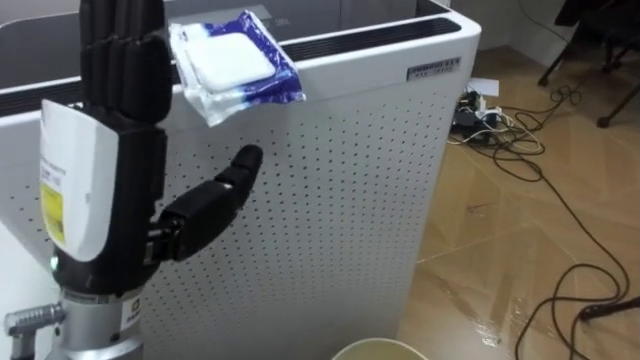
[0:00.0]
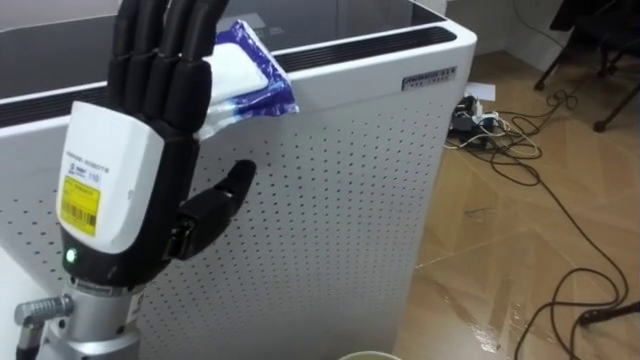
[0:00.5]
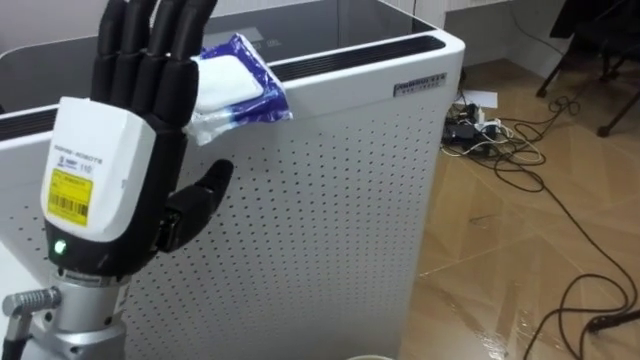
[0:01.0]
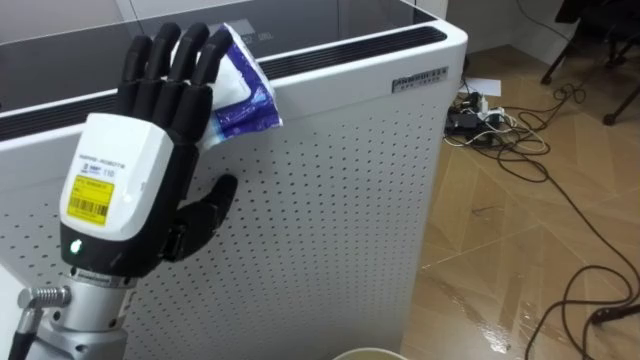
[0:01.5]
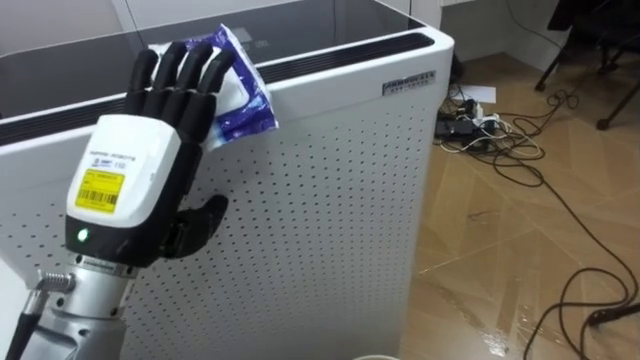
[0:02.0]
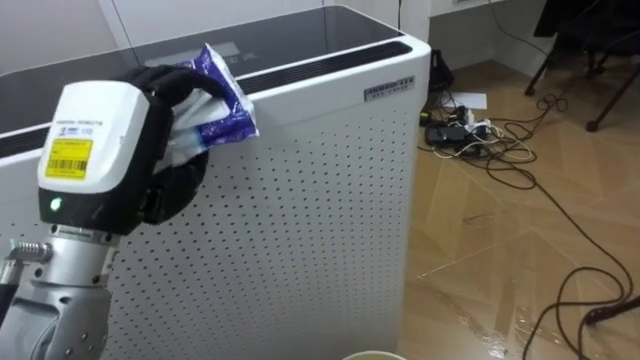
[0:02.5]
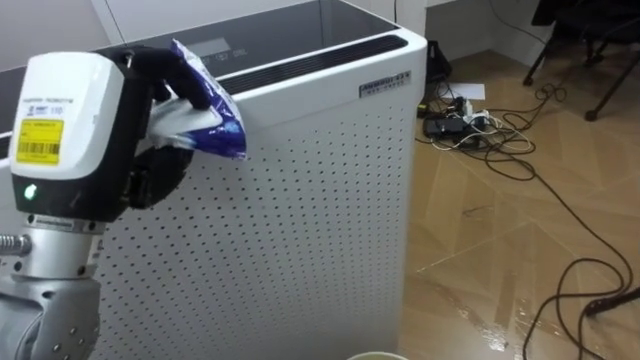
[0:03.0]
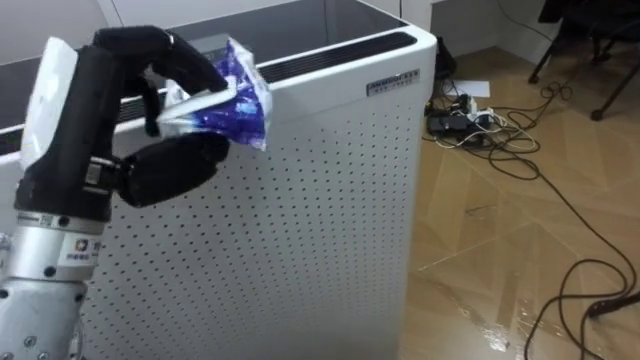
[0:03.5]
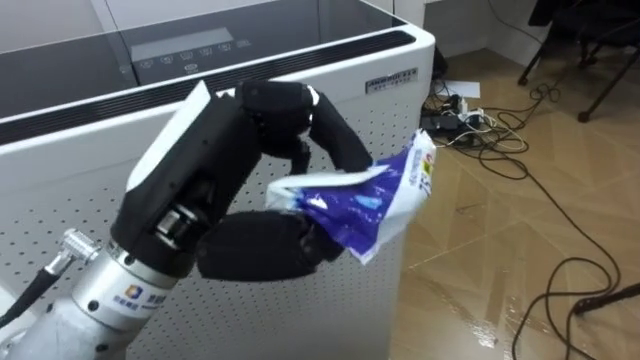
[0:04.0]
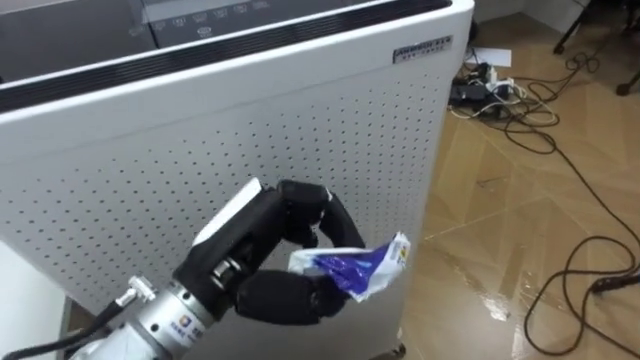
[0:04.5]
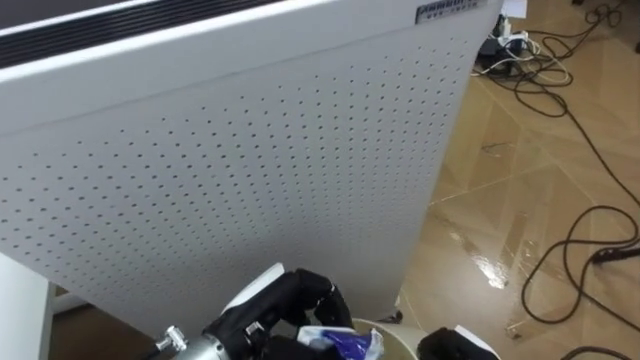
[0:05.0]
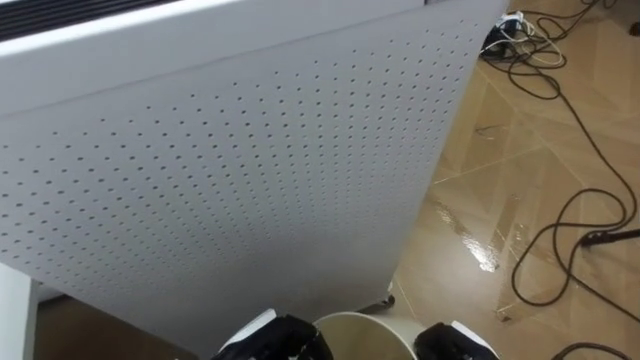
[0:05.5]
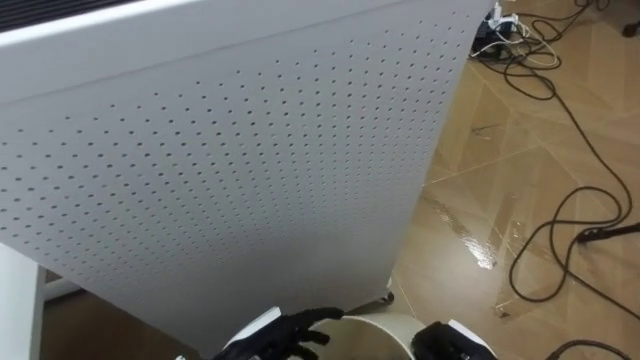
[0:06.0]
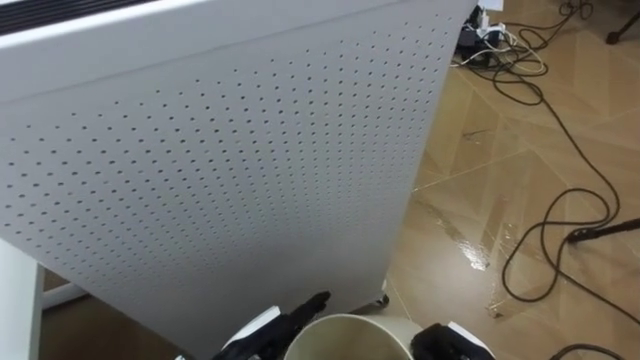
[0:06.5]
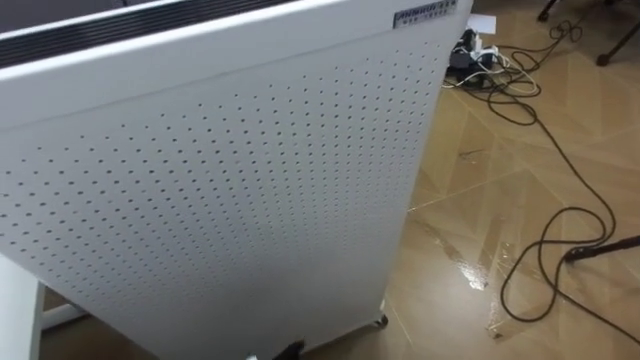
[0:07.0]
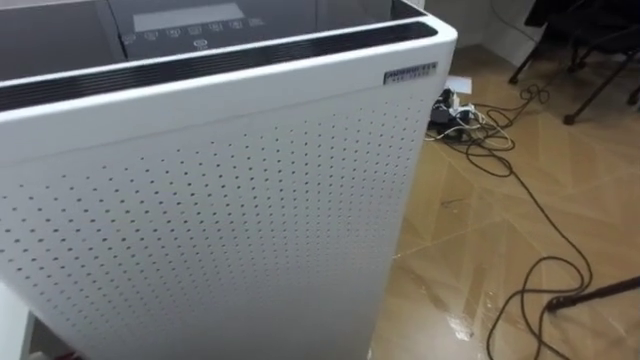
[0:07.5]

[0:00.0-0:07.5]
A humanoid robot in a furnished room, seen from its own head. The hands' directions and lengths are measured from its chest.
Task of the whole recording: Pick up the light blue package, the candy box, and the dark blue package separately, and put them into the trash can held in your right hand.
0:00.0 to 0:02.0: The left hand shifts by about 5 cm.
0:02.0 to 0:04.0: The left hand travels to the right by approximately 5 cm, and closes.
0:04.0 to 0:05.5: The left hand goes roughly 30 cm downward.

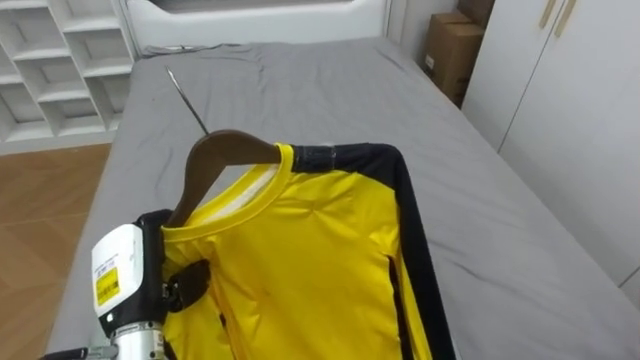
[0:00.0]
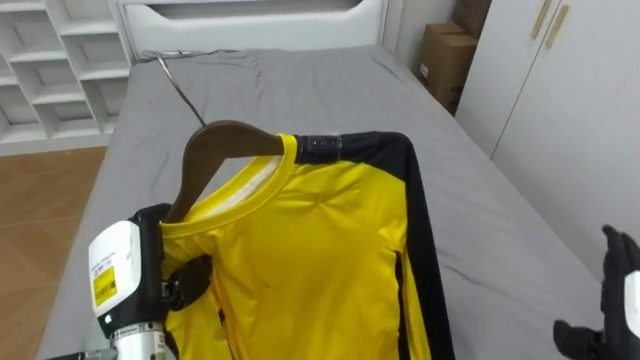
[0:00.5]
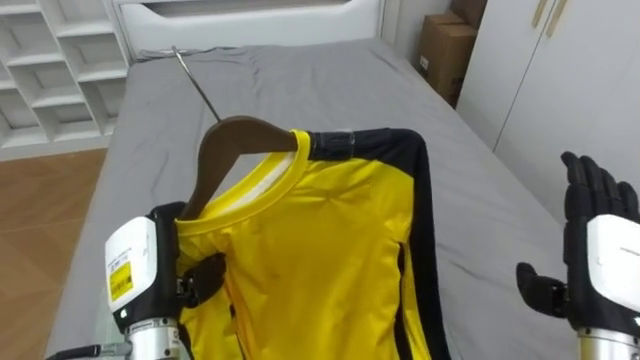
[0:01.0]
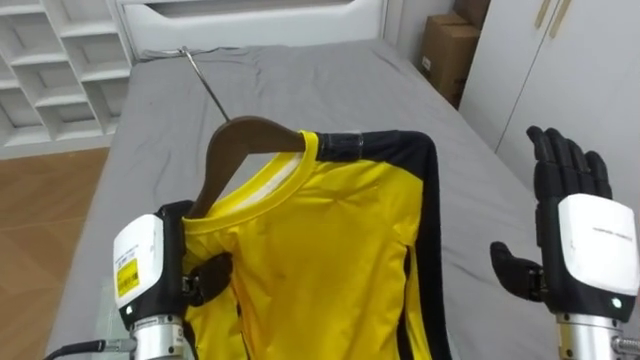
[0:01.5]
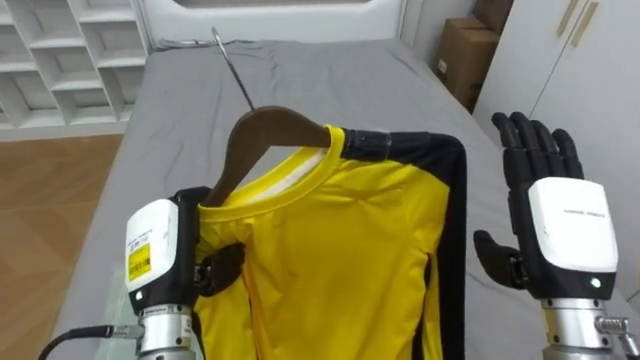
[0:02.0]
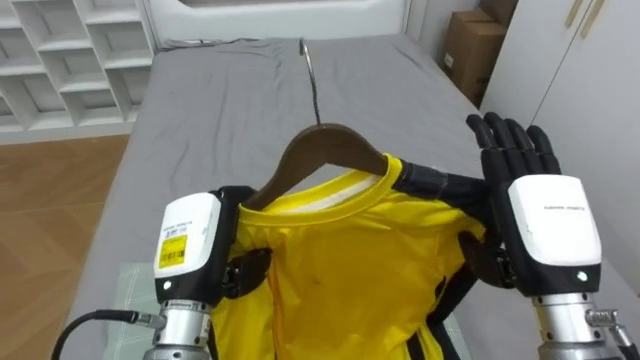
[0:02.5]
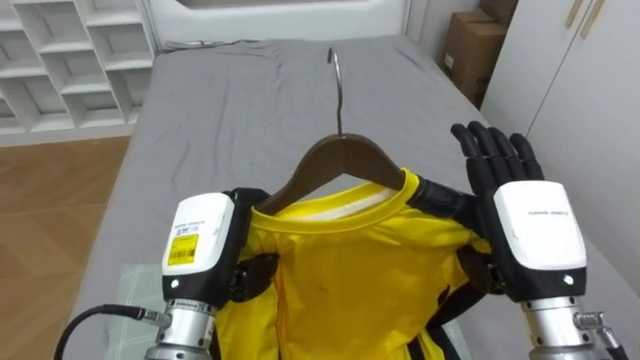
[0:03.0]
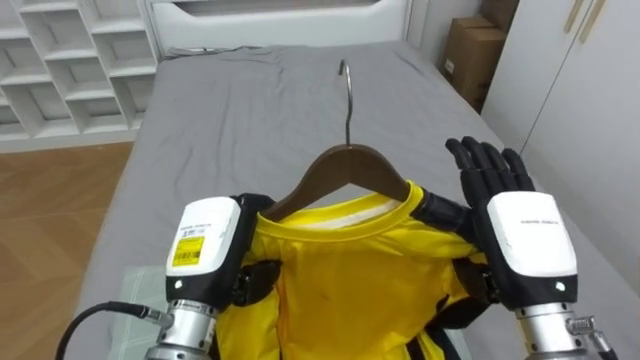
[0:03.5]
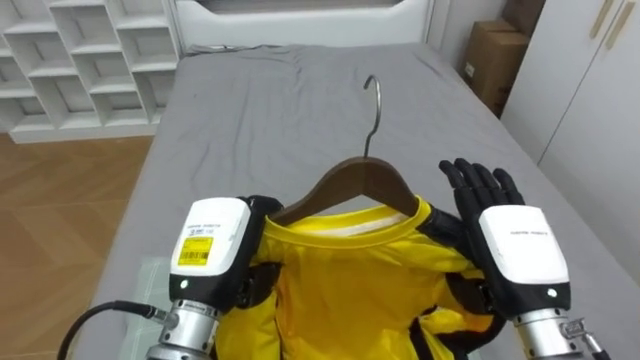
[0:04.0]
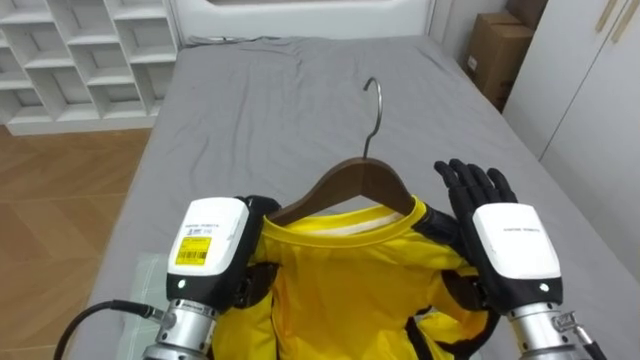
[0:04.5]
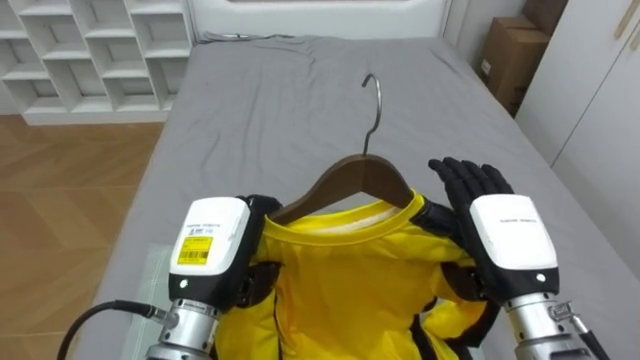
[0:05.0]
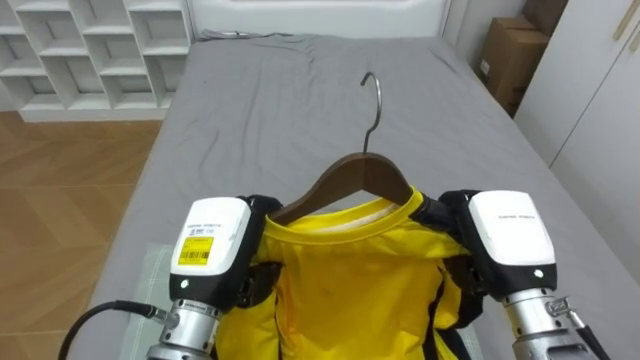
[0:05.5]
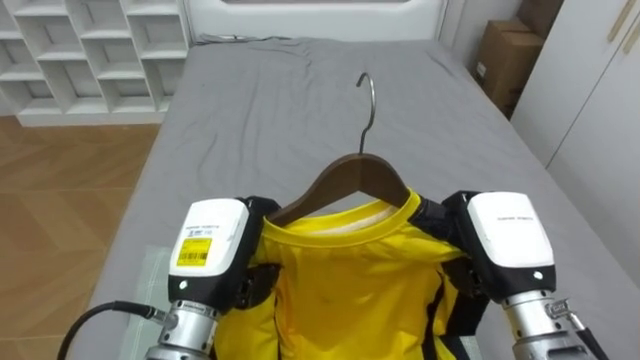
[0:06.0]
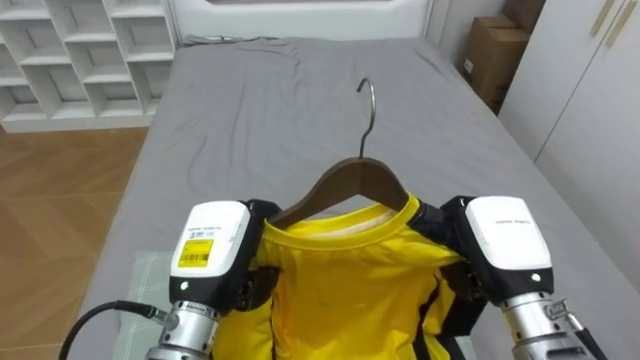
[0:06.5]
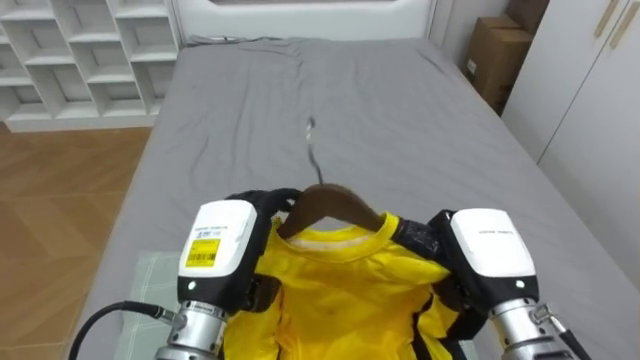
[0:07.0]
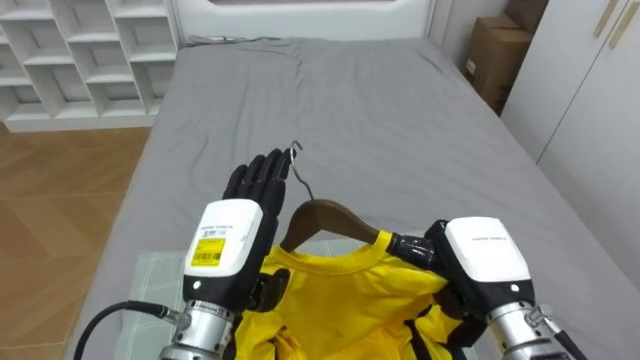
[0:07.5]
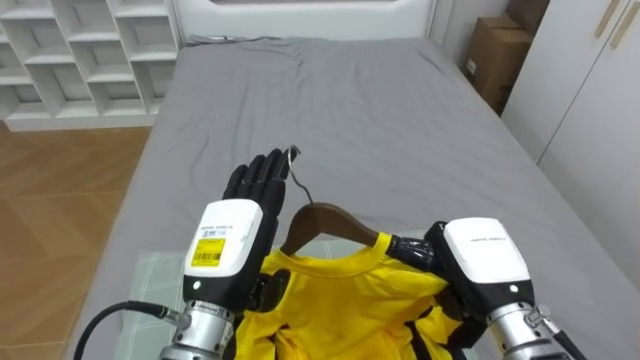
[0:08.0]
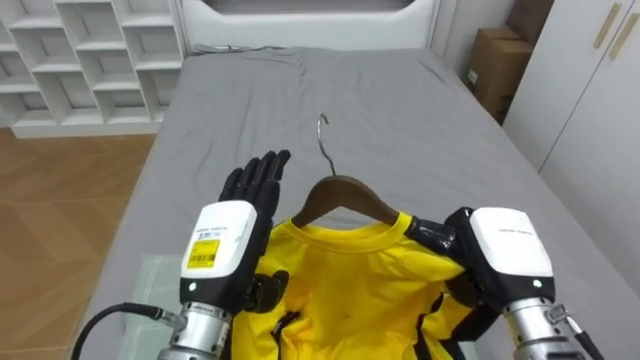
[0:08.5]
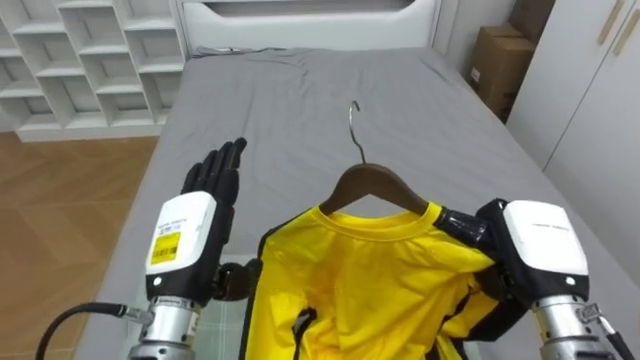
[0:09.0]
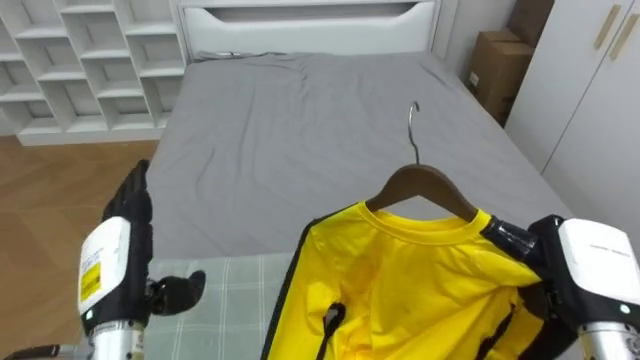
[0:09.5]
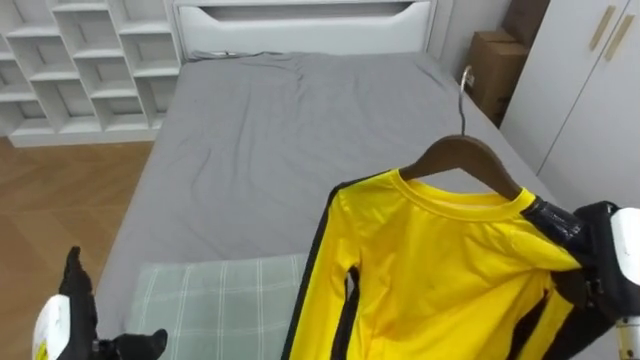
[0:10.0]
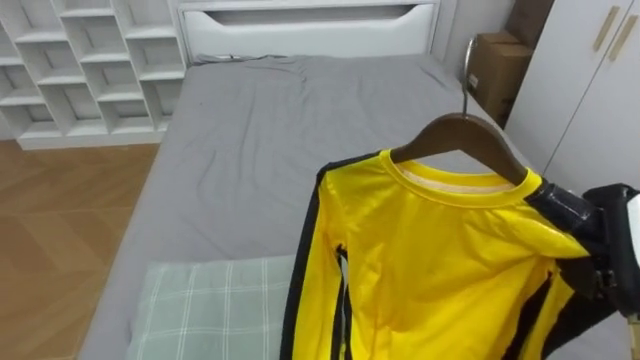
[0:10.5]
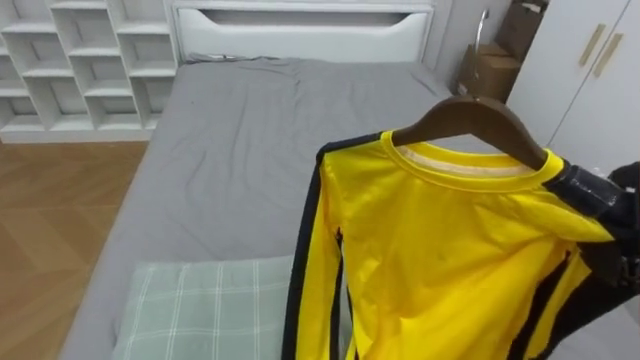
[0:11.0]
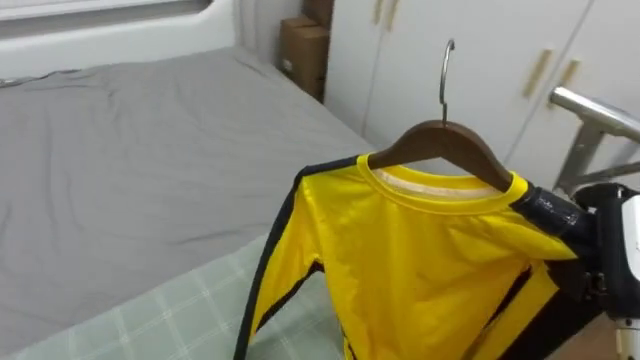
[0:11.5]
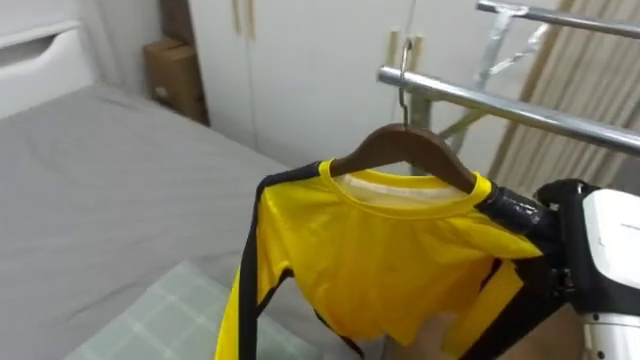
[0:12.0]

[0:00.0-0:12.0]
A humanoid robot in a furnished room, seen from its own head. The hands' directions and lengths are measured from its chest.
Task of the whole recording: Pick up the yellow shirt on the bed and hang it on the clothes rack on the right.
0:00.0 to 0:02.0: The left hand shifts by approximately 5 cm.
0:02.0 to 0:04.0: The right hand shifts by approximately 5 cm; the left hand goes roughly 5 cm to the right.
0:04.0 to 0:06.0: The right hand closes.
0:06.0 to 0:08.0: The left hand opens.
0:08.0 to 0:10.0: The left hand shifts some 20 cm to the left and downward, while the right hand is displaced to the right by roughly 15 cm.
0:10.0 to 0:12.0: The robot turns to its right by roughly 45 degrees.
